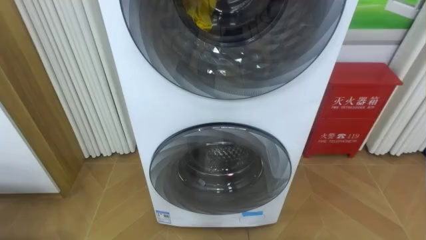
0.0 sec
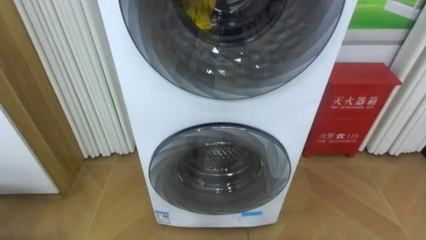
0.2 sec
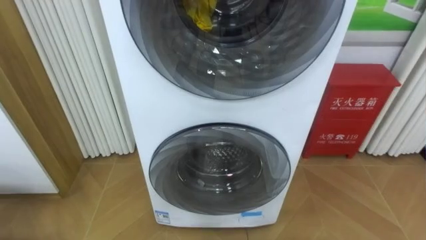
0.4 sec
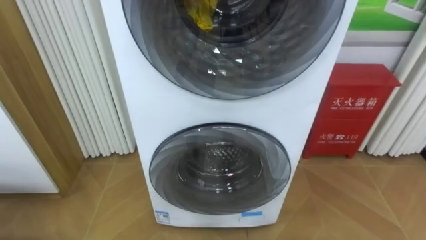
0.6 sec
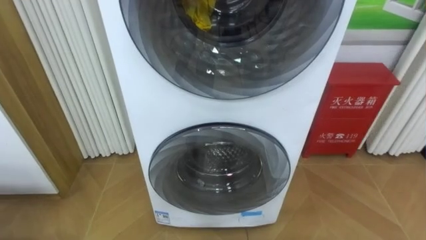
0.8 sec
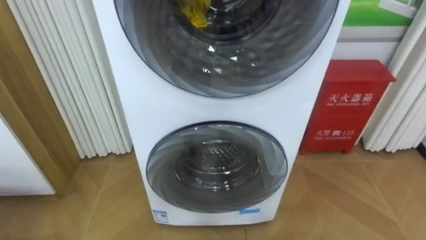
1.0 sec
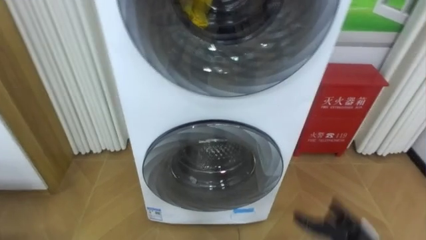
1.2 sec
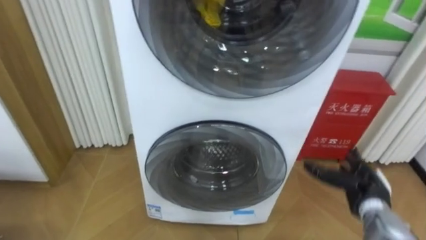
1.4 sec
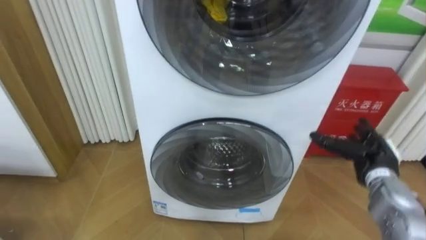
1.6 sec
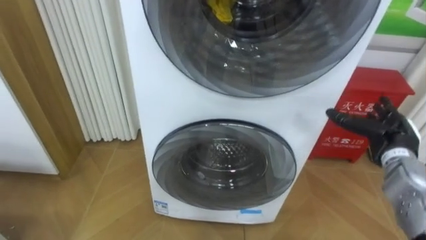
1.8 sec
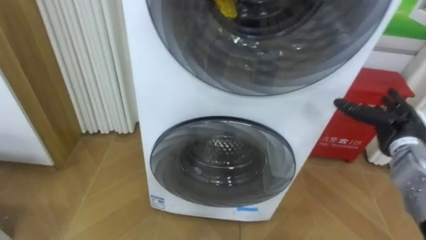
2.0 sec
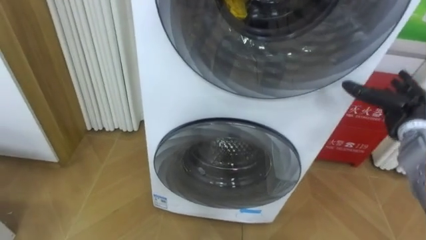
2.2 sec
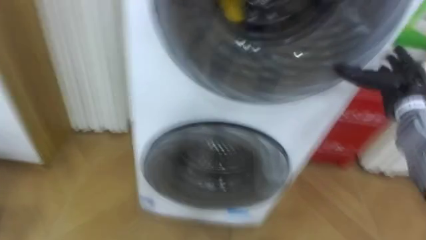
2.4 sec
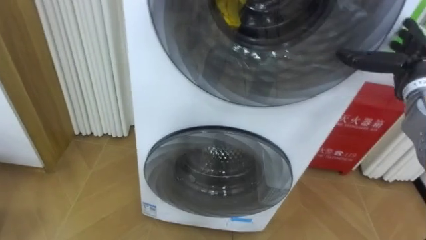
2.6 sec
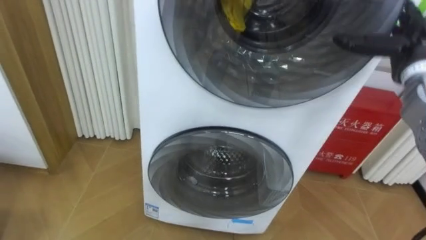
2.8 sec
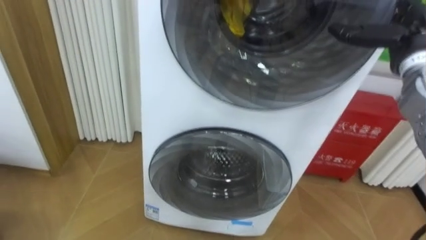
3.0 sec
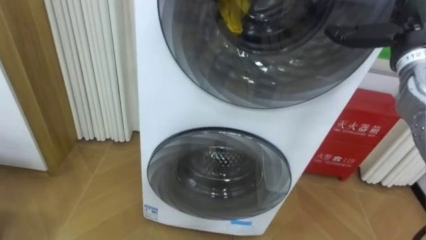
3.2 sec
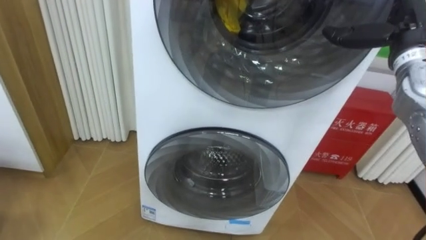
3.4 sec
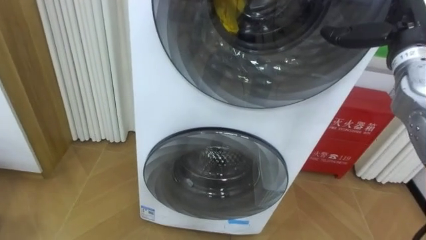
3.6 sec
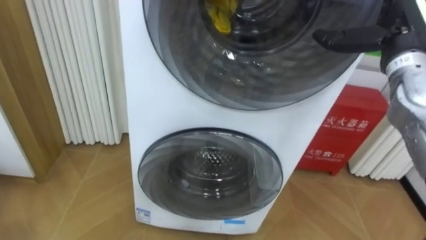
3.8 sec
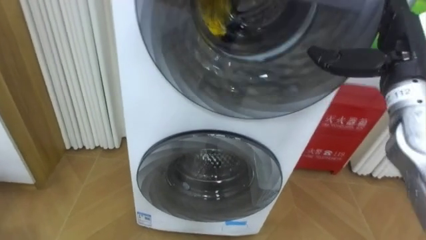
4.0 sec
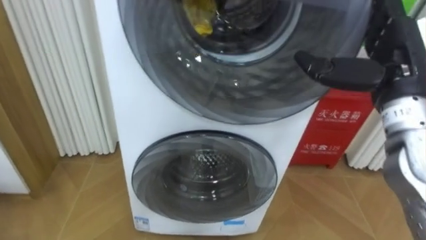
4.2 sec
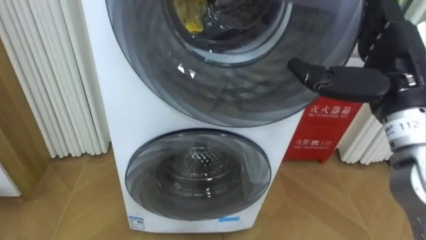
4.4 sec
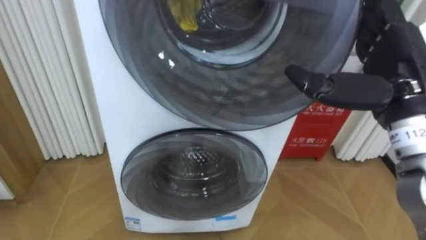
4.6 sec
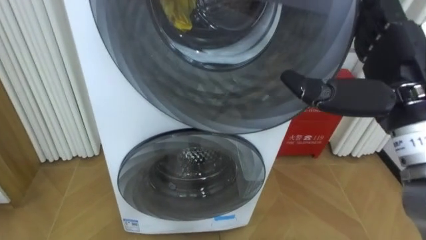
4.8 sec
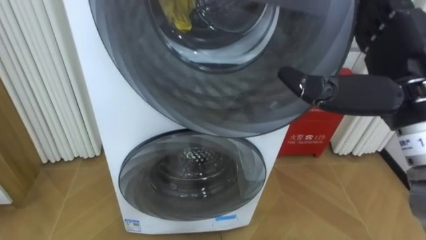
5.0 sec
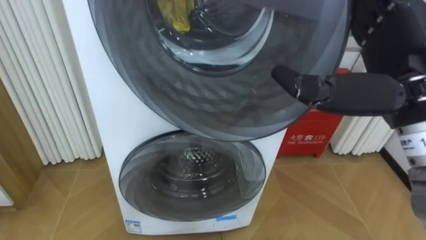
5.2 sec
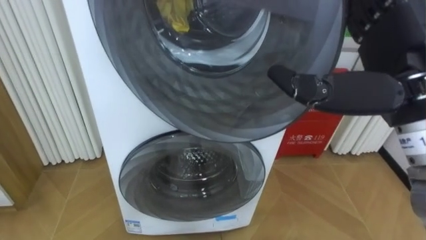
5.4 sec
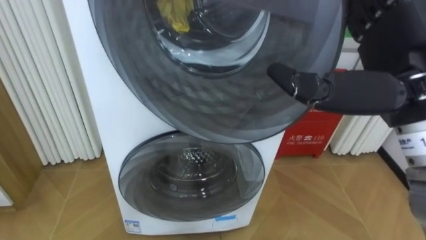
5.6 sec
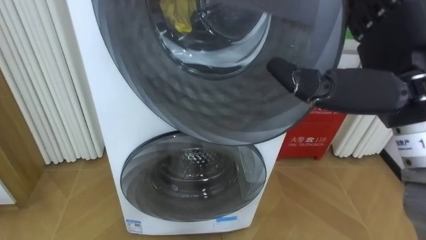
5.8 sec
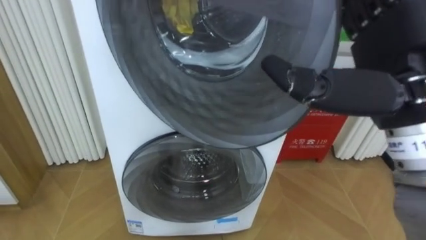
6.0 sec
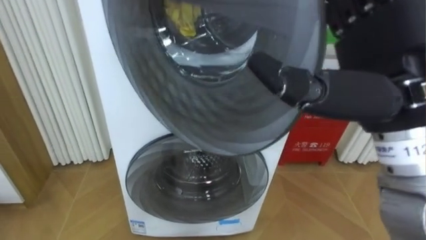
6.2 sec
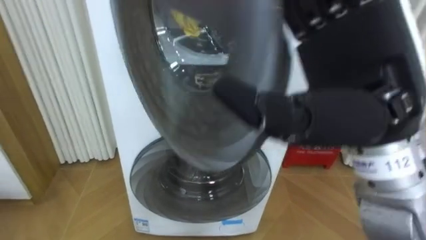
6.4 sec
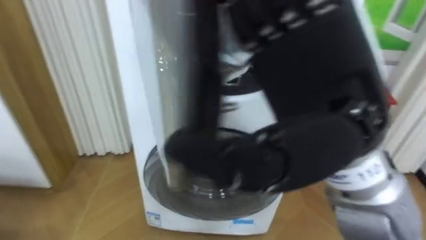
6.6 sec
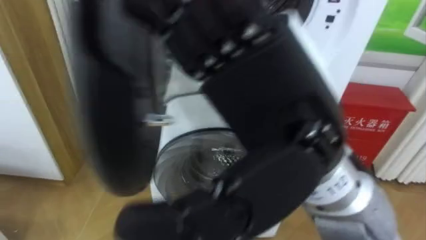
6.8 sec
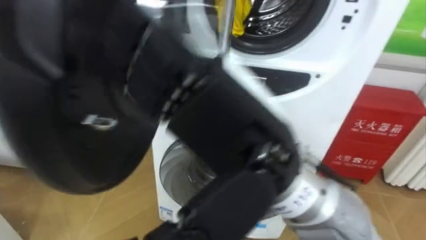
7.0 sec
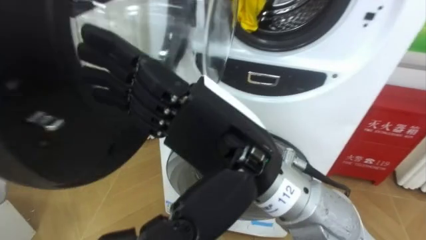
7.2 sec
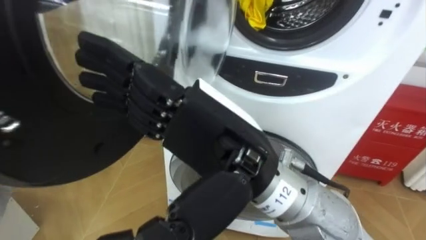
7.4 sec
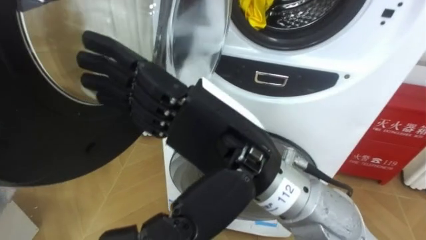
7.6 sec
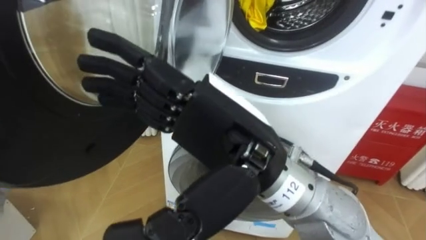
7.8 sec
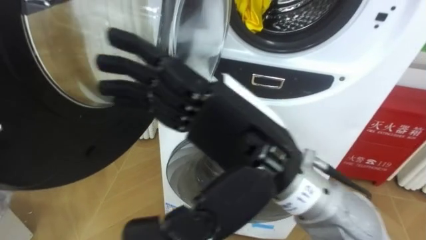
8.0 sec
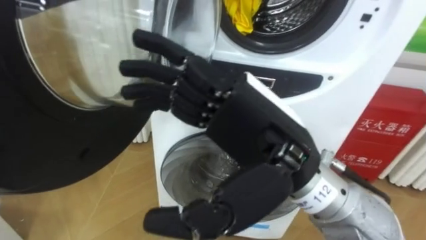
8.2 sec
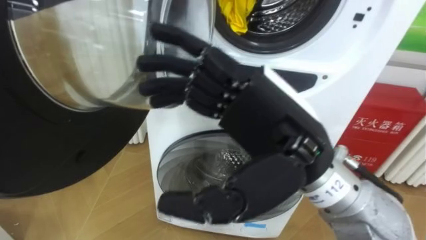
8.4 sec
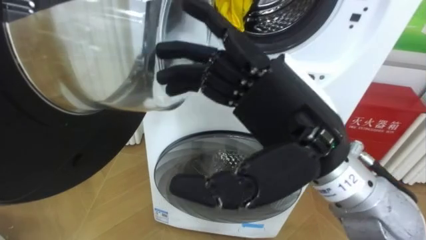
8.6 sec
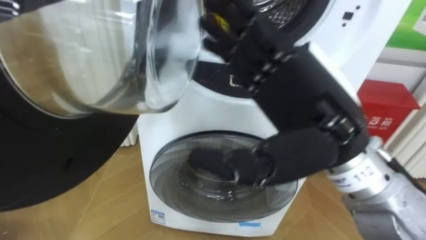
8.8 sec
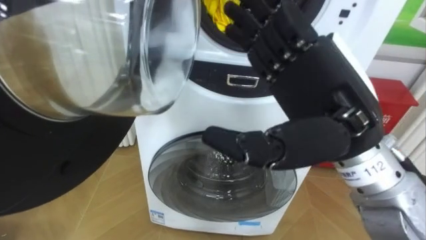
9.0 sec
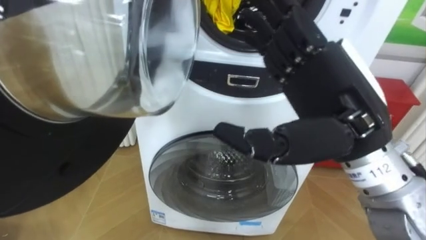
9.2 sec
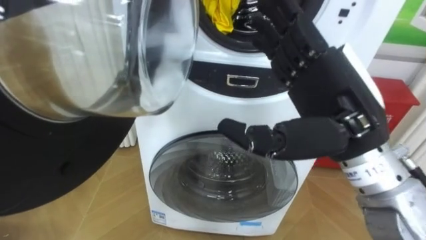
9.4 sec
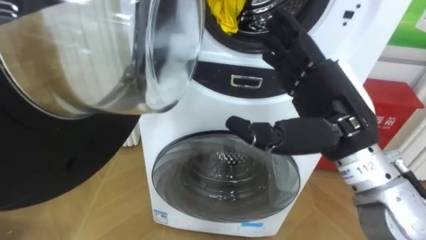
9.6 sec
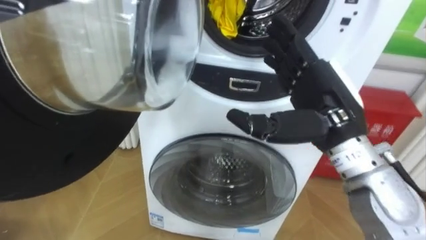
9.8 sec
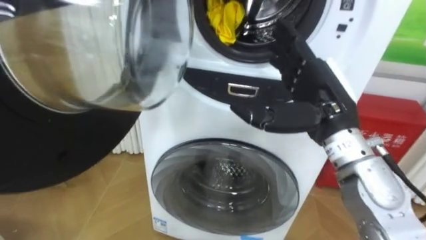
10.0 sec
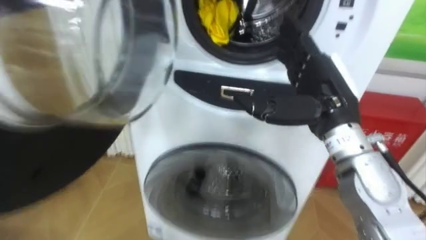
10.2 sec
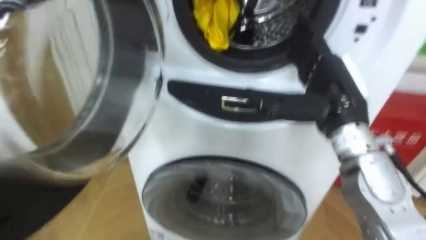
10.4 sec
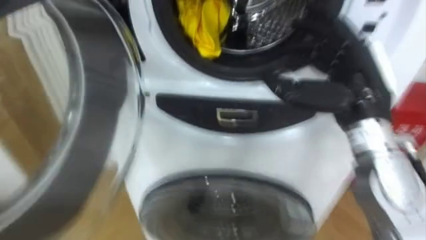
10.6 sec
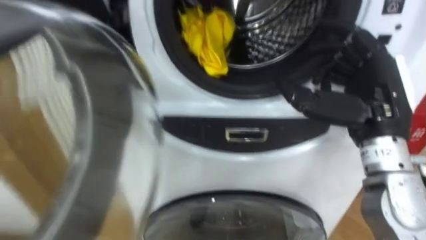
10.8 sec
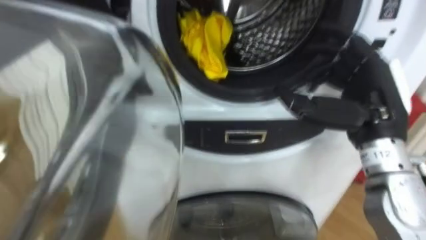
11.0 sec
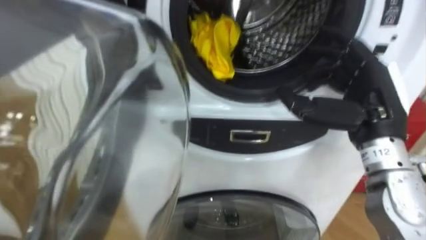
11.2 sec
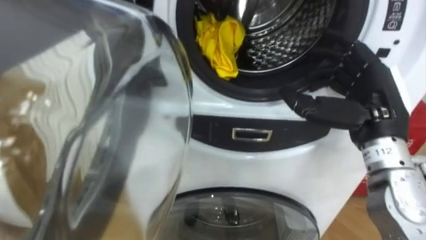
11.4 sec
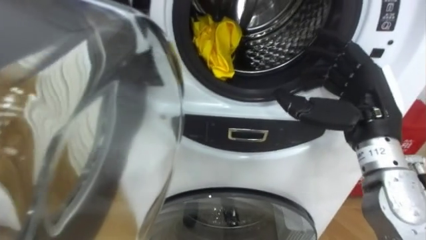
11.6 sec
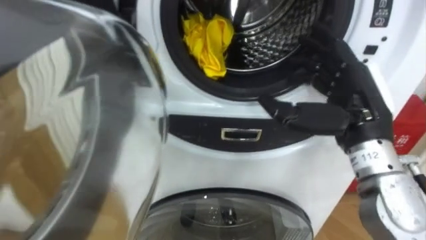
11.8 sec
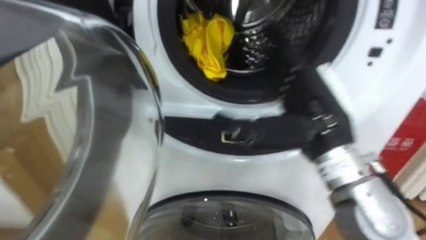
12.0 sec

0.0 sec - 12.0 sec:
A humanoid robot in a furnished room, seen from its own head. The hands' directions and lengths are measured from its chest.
Task of the whole recording: Open the washing machine door, take out the yellow clothes, place them in the box on the right, and close the washing machine door.
1.6 sec - 3.0 sec: The right hand travels upward by roughly 20 cm.
3.0 sec - 4.4 sec: The right hand shifts approximately 15 cm backward and to the left.
4.4 sec - 6.0 sec: The right hand moves backward, approximately 5 cm.
6.0 sec - 7.6 sec: The right hand is displaced to the left by some 15 cm.
7.6 sec - 9.0 sec: The right hand heads to the right, covering some 10 cm.
9.0 sec - 10.4 sec: The right hand shifts roughly 10 cm forward, downward and to the right.
10.4 sec - 12.0 sec: The right hand changes place by some 5 cm.

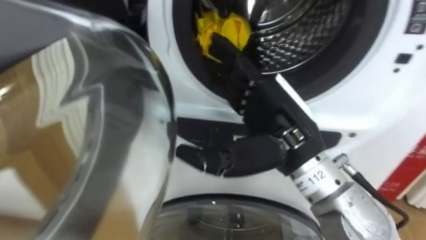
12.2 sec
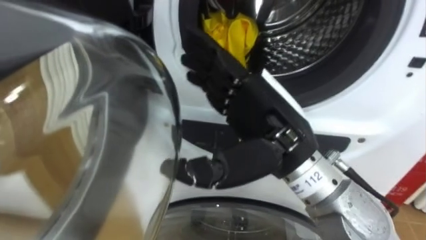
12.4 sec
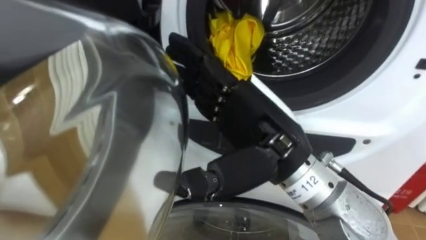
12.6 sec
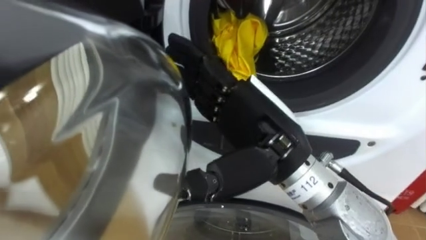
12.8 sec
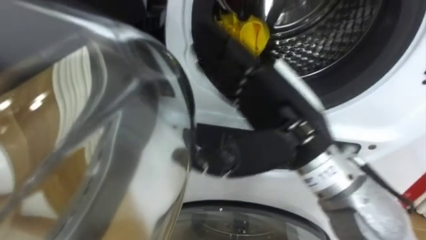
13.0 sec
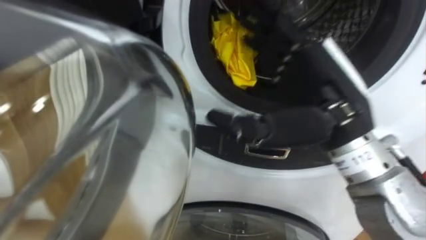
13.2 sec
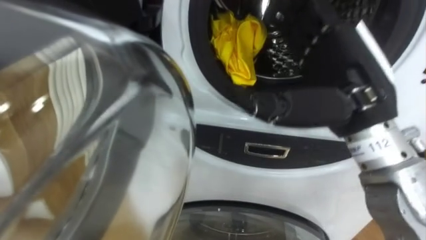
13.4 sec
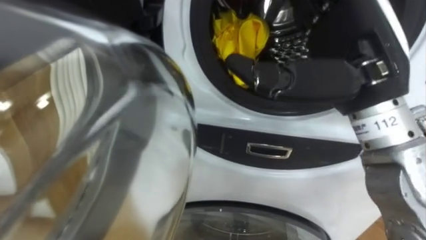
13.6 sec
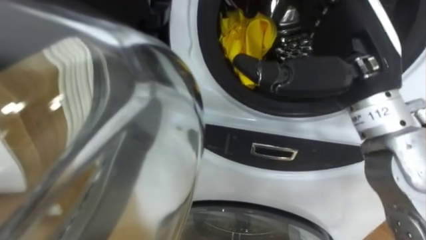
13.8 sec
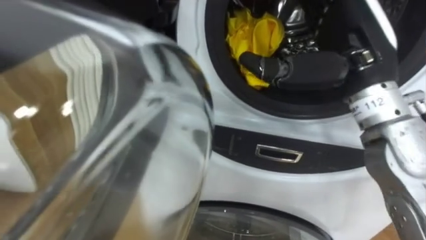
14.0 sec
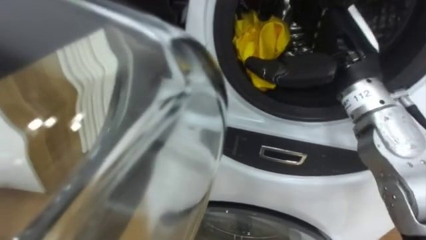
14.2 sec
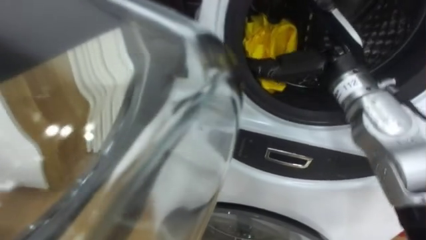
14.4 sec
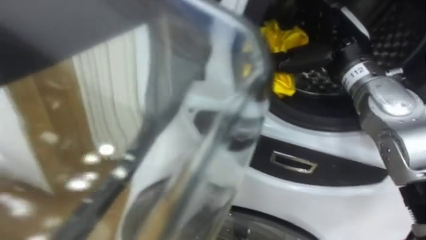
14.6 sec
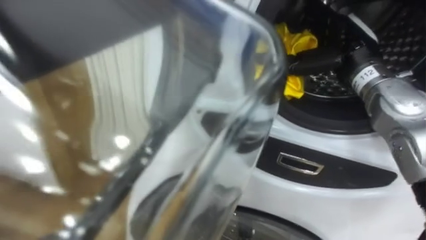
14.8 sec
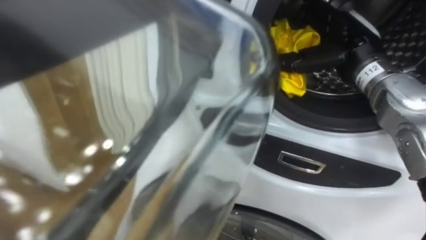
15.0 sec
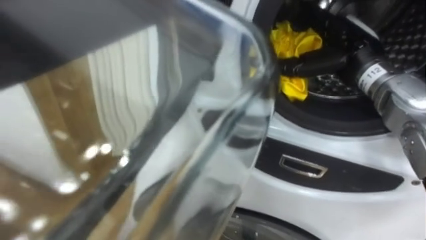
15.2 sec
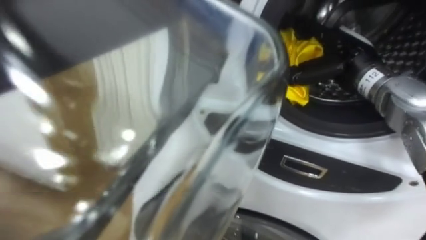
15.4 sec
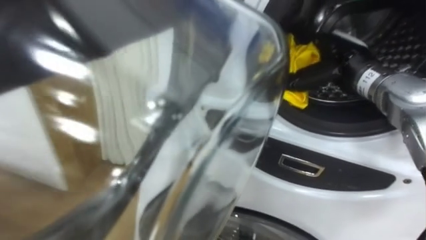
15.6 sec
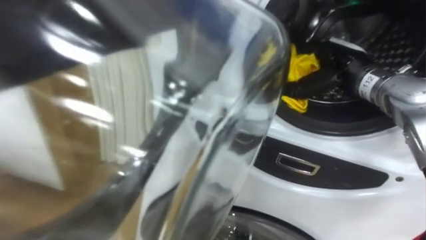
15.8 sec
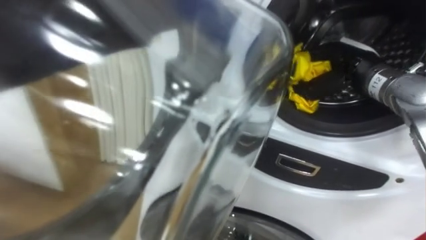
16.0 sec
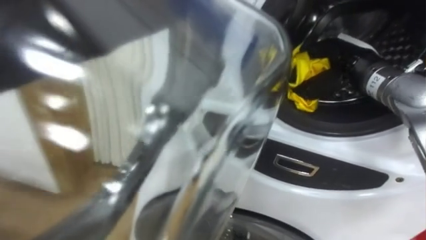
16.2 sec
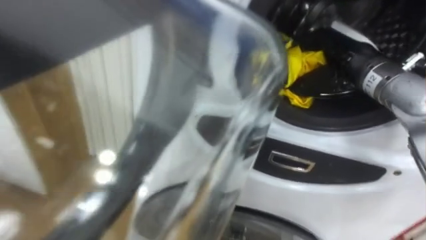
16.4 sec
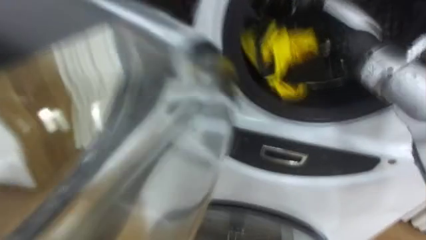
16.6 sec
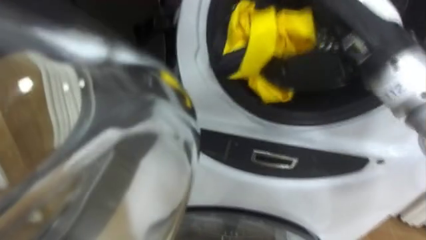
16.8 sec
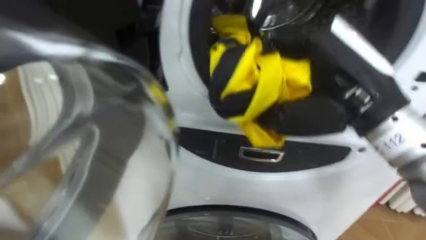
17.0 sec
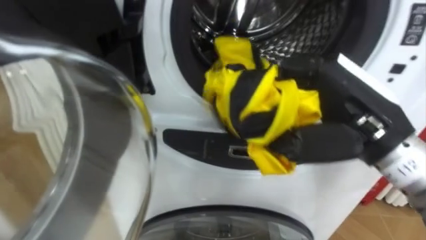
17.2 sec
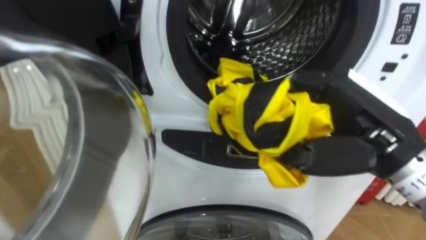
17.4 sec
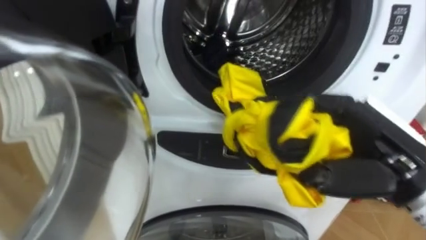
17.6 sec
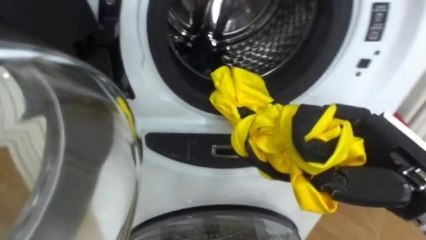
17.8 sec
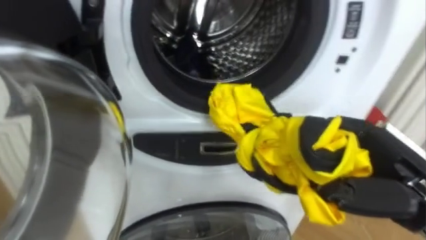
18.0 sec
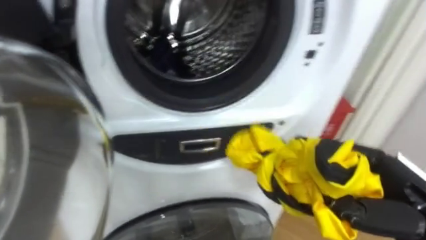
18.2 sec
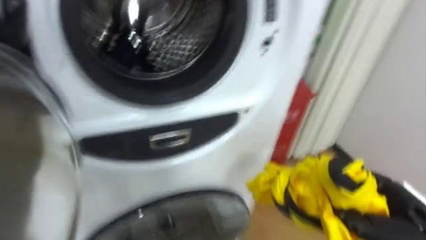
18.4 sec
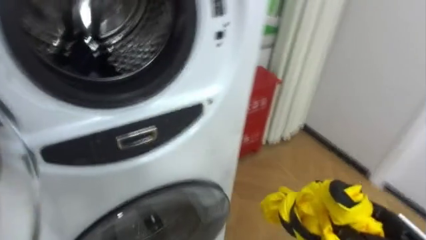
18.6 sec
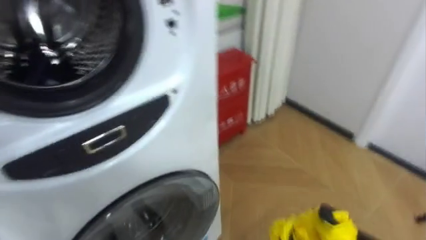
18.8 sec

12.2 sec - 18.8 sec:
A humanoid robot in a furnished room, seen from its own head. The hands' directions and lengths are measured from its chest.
Task of the whole recording: Open the washing machine door, take out the yellow clothes, place them in the box on the right, and close the washing machine door.
12.2 sec - 13.8 sec: The right hand shifts roughly 10 cm upward and to the right.
13.8 sec - 15.4 sec: The right hand heads forward, downward and to the right, covering approximately 15 cm.
15.4 sec - 17.2 sec: The right hand heads backward, covering about 15 cm, and closes.
17.2 sec - 18.8 sec: The robot turns to its right by about 30 degrees.
